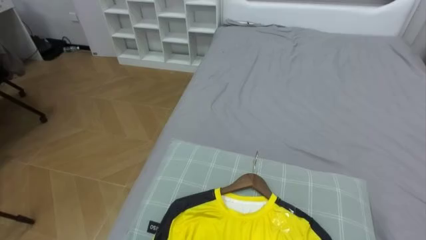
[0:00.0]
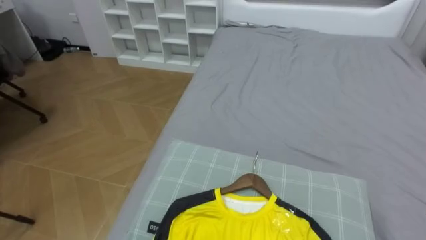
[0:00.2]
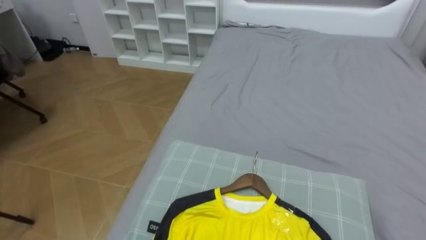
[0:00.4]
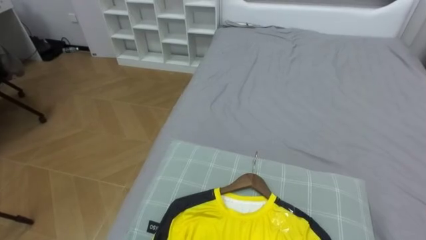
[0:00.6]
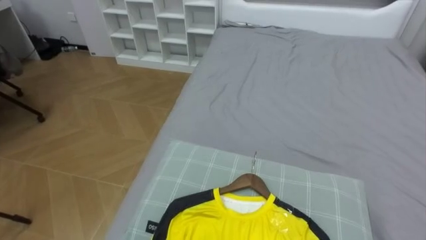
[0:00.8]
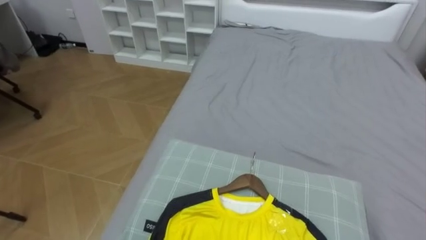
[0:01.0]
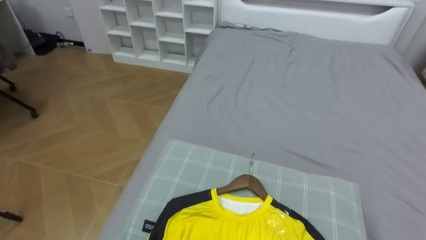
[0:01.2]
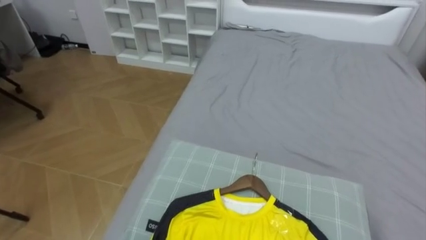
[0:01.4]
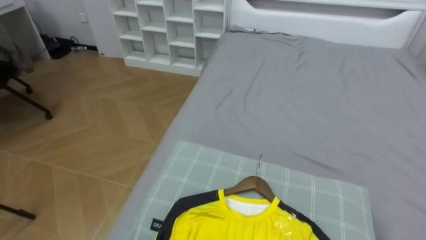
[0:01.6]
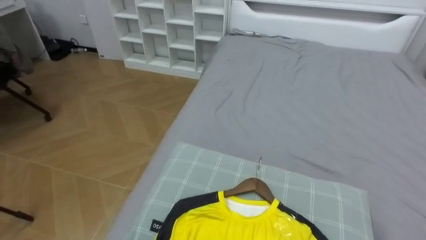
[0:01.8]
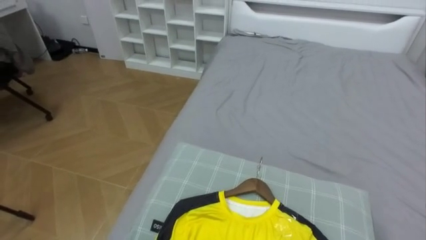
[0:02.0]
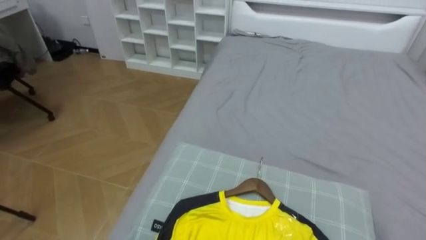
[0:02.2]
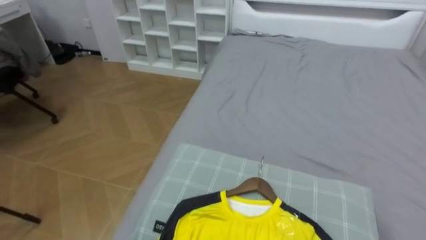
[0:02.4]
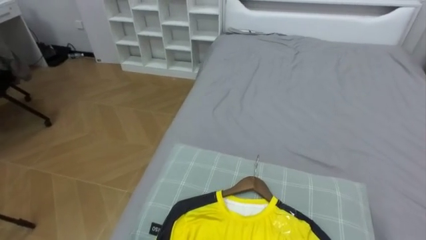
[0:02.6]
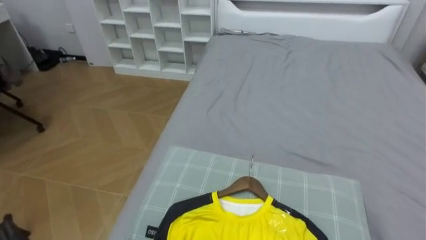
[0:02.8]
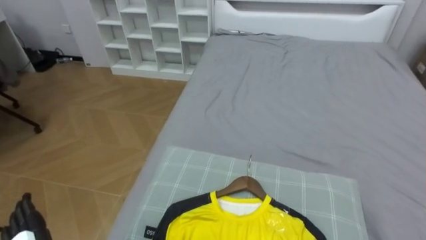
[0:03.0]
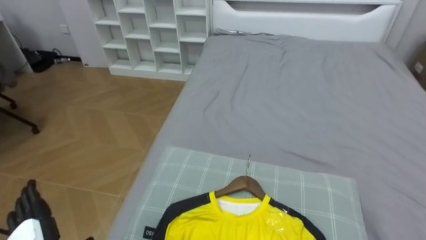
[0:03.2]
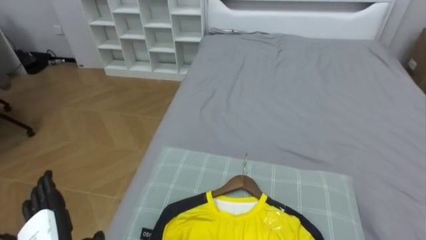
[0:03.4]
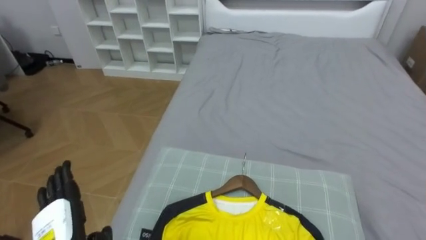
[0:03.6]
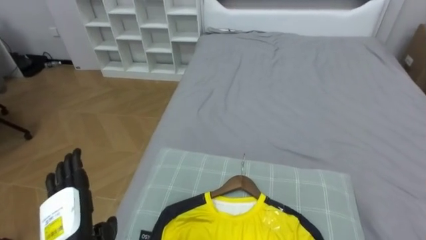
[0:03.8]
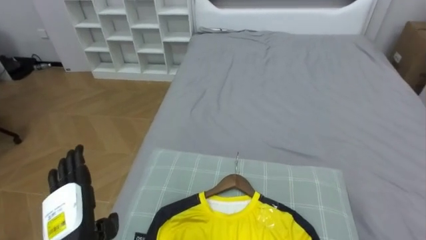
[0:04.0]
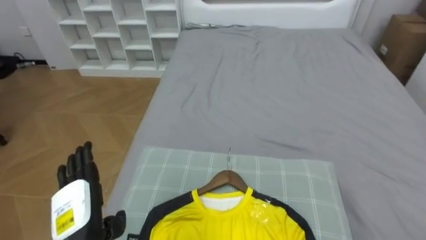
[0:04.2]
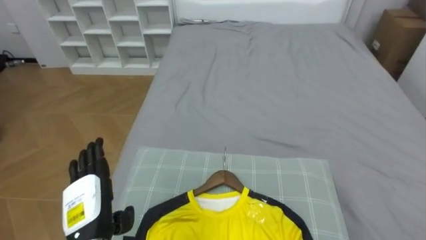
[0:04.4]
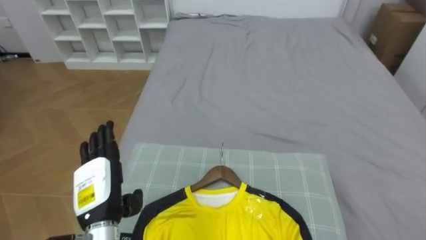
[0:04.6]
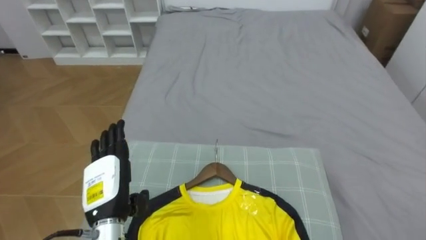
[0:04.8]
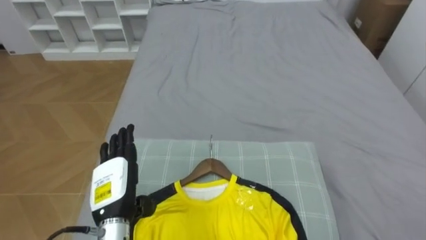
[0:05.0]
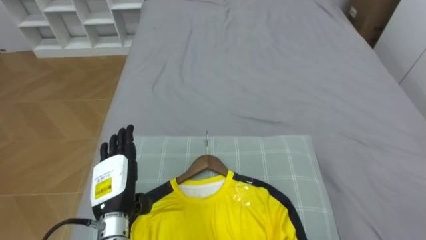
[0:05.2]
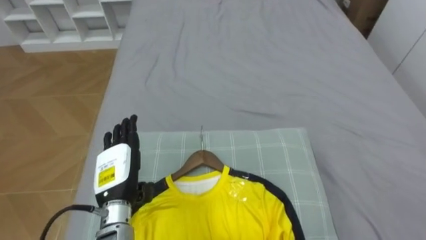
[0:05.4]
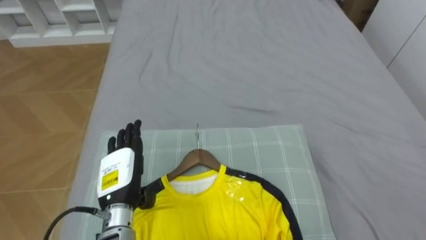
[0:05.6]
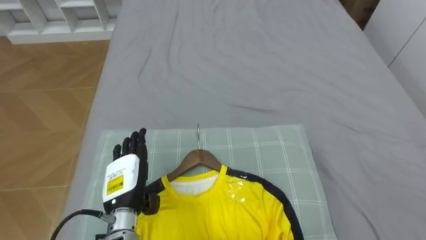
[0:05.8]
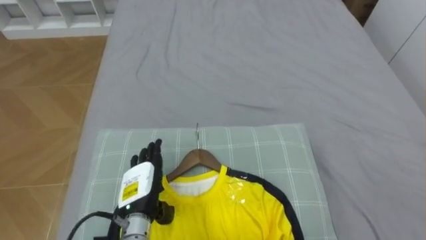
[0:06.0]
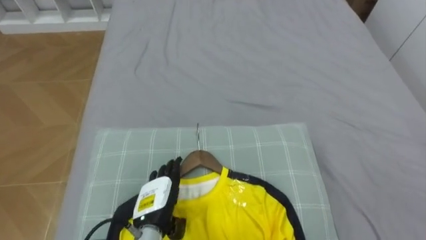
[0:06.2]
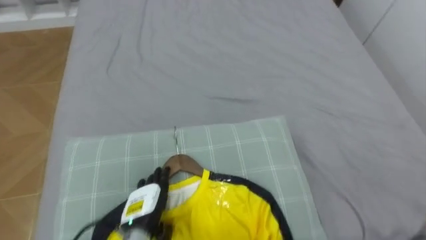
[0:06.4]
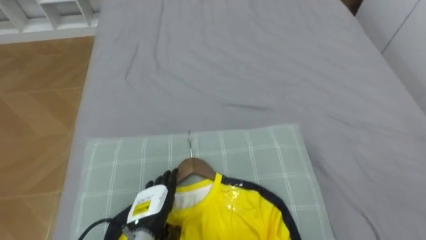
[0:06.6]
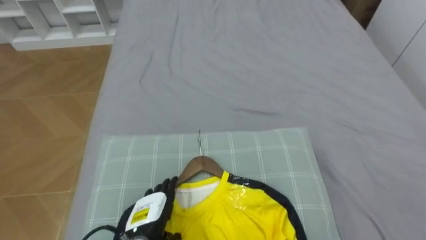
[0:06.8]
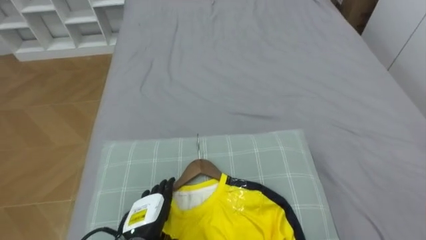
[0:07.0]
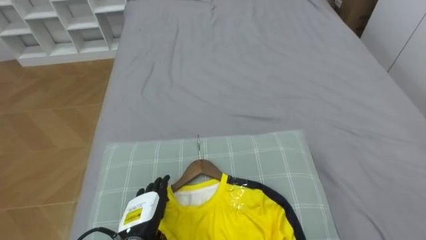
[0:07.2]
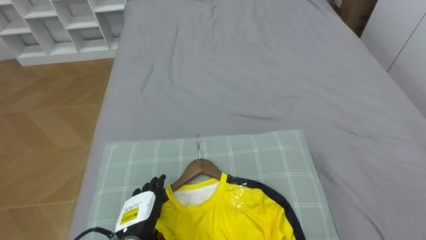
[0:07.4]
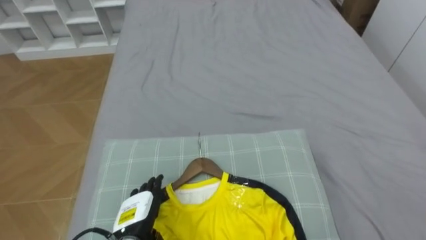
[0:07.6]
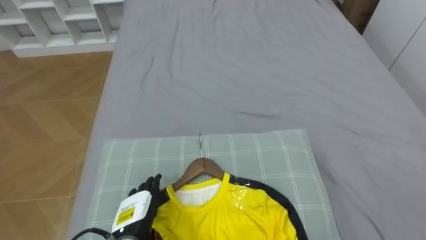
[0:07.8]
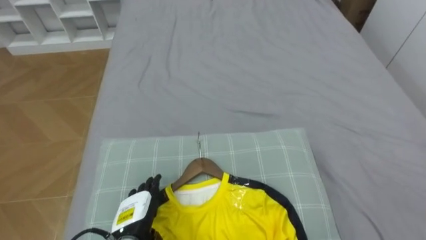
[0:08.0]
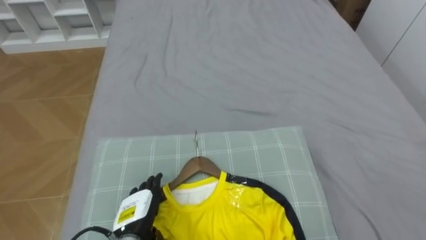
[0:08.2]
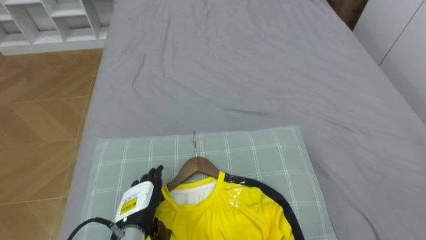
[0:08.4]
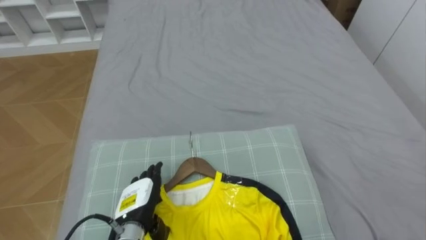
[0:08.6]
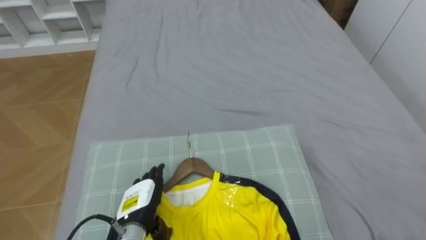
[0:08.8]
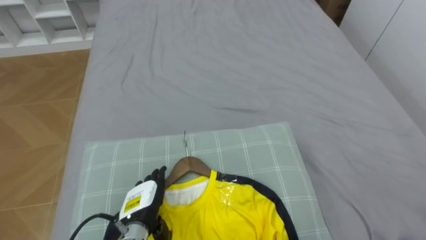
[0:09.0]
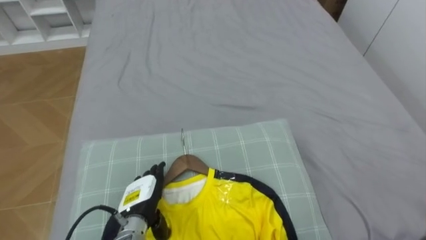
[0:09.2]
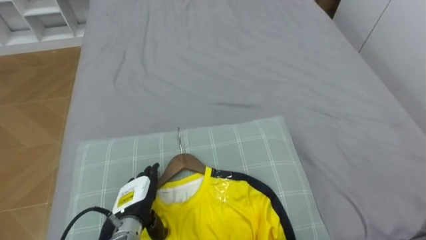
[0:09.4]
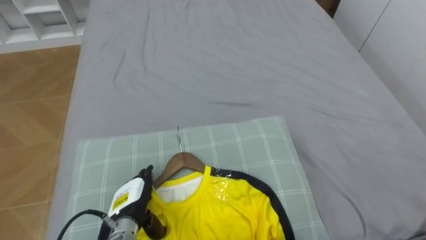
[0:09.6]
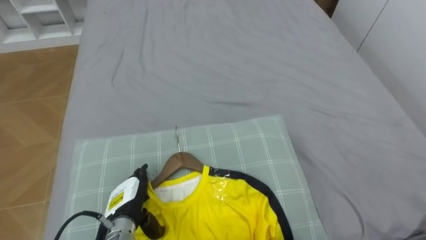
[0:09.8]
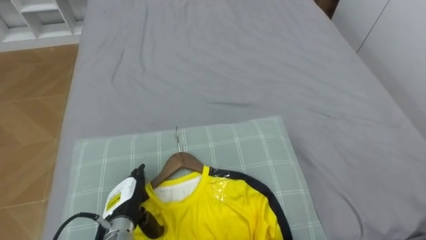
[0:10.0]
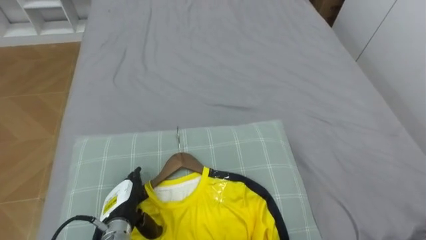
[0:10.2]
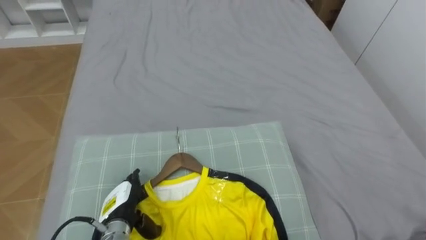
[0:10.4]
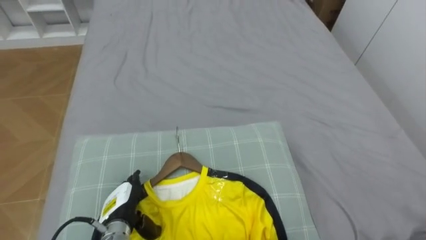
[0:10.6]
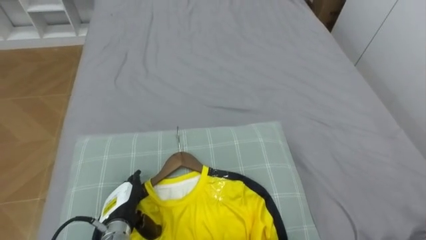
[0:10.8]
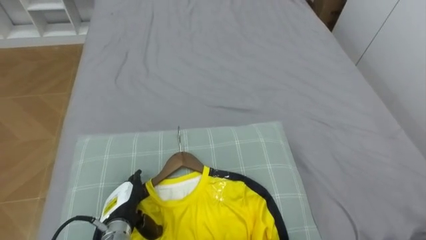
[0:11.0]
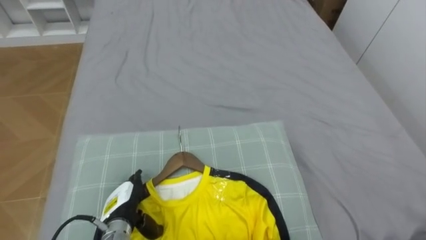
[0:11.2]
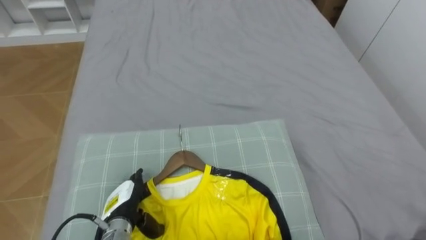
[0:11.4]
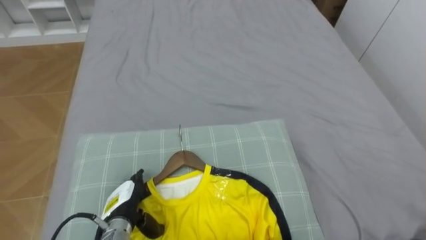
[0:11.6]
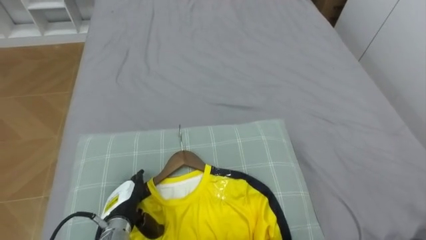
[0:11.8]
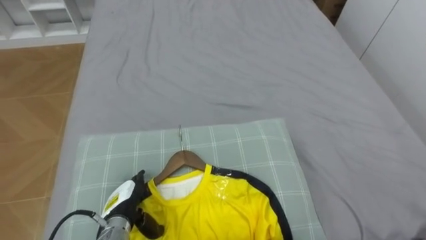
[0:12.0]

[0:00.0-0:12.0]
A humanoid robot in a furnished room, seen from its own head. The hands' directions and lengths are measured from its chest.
Task of the whole recording: Pick up the yellow shirt on the bed and hang it on the clothes rack on the right.
0:04.4 to 0:06.0: The left hand is displaced to the right and forward by roughly 10 cm.
0:06.0 to 0:07.6: The left hand heads downward, covering approximately 5 cm.

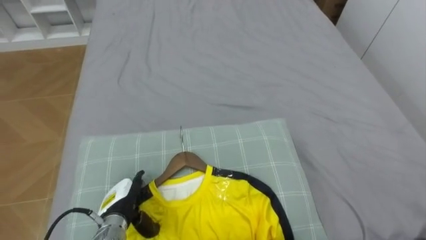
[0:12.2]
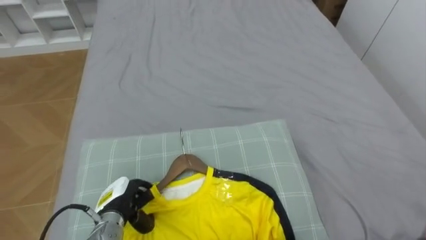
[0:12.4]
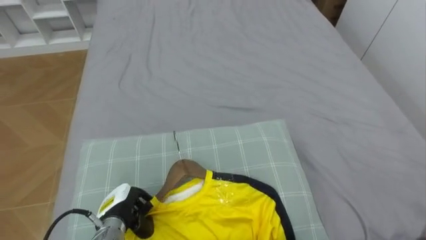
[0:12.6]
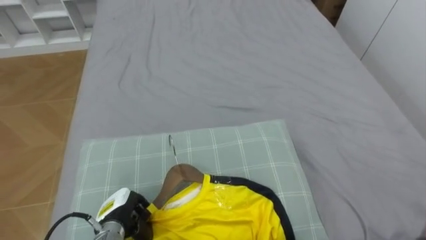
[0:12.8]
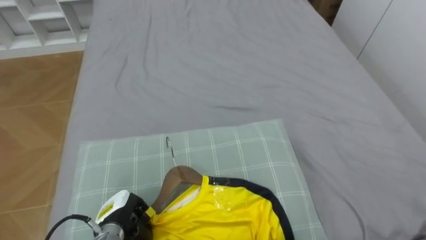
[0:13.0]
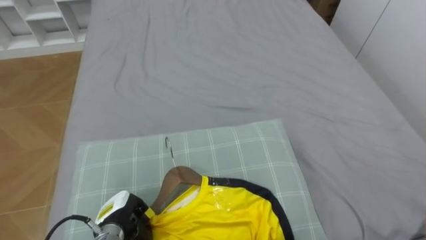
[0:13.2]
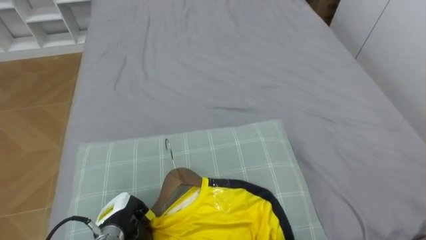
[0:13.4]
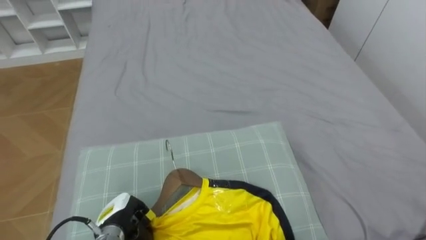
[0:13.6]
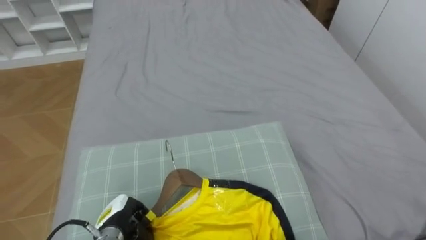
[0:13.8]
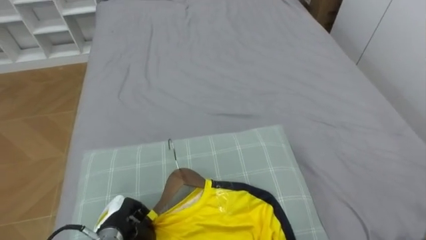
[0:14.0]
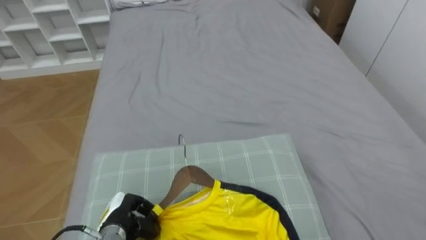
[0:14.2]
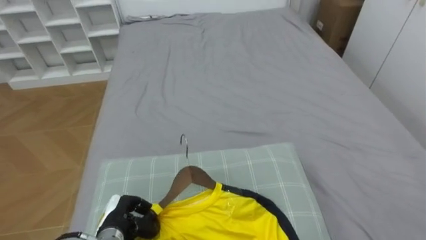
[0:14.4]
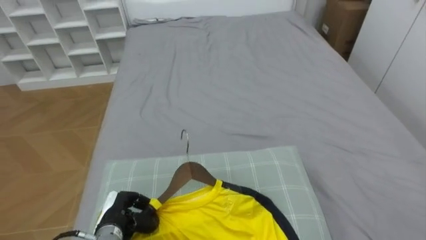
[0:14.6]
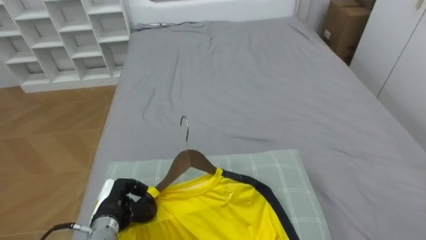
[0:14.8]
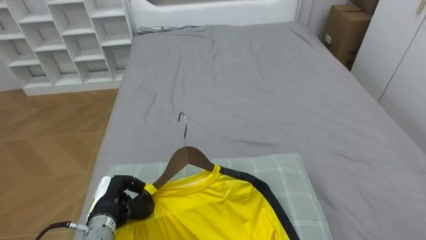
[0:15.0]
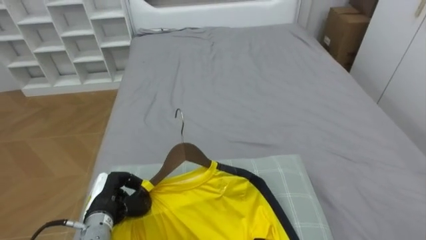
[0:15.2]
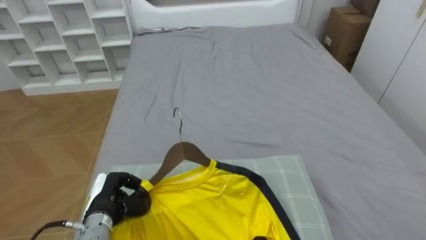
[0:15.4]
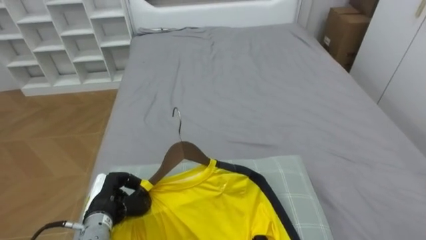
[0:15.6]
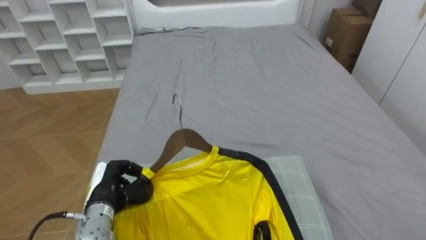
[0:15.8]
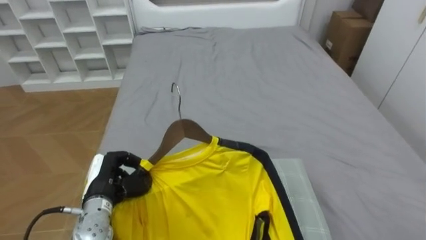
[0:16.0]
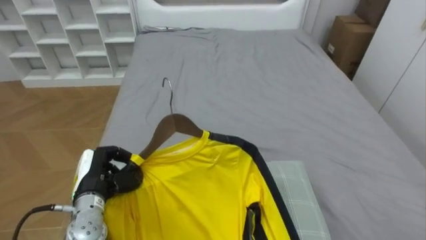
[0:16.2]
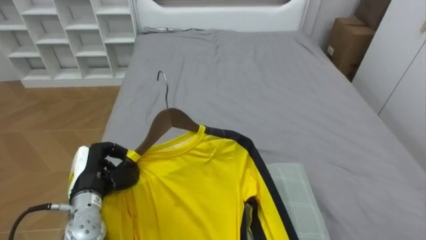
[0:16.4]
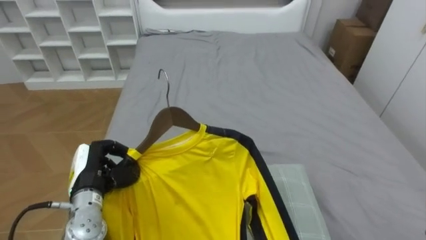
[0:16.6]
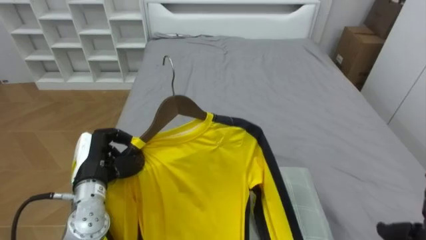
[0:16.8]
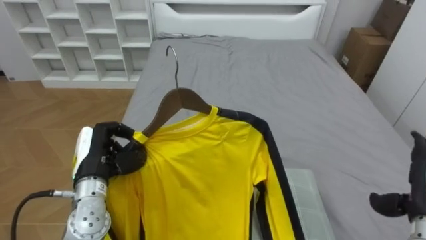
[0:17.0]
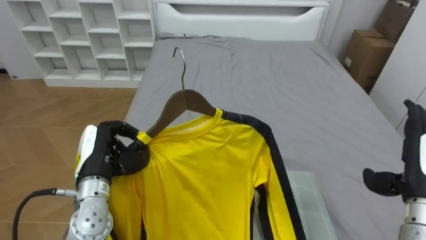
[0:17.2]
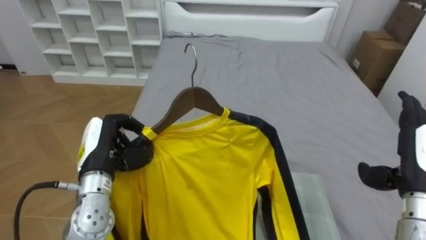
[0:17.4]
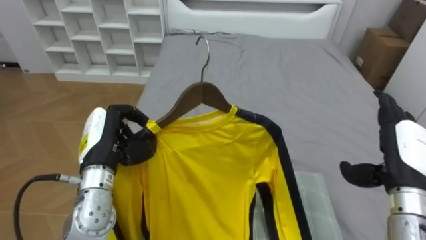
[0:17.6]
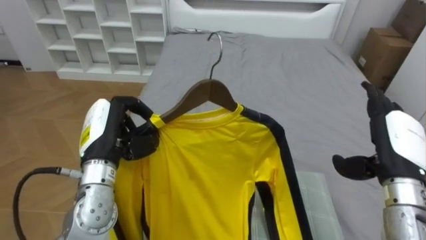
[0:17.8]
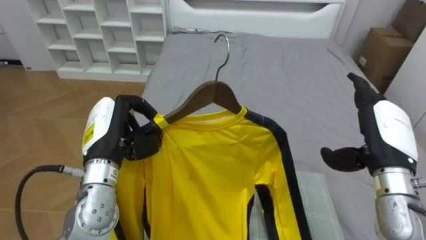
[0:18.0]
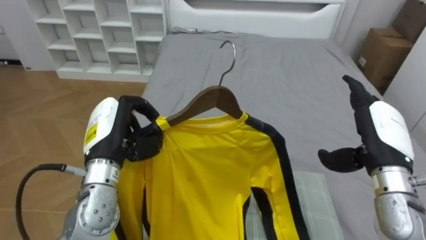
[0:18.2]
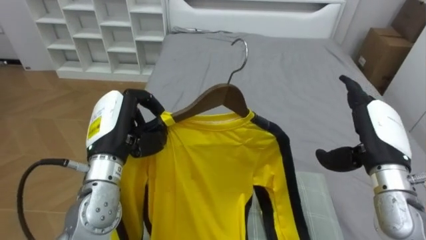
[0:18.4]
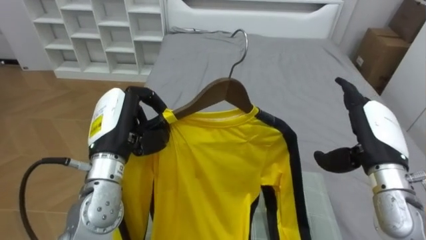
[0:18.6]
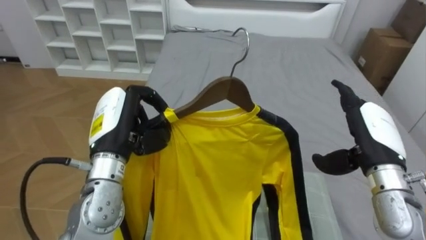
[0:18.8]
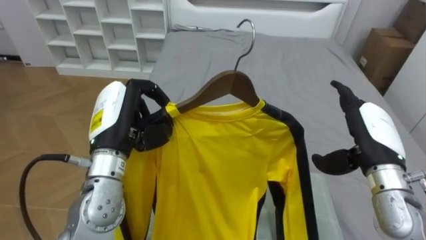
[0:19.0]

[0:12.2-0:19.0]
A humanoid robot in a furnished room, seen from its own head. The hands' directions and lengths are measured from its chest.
Task of the whole recording: Pick up the yellow shirt on the bed and hang it on the clothes rack on the right.
0:12.2 to 0:13.6: The left hand closes.
0:15.0 to 0:16.2: The left hand heads upward, covering some 5 cm.
0:16.2 to 0:17.6: The left hand heads upward, covering some 10 cm.
0:17.6 to 0:19.0: The right hand changes place by about 5 cm. The left hand is displaced upward by some 5 cm.
